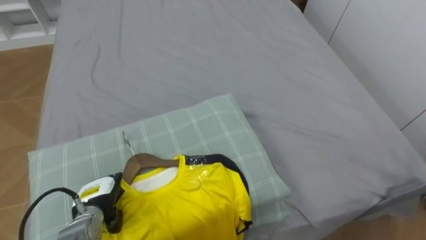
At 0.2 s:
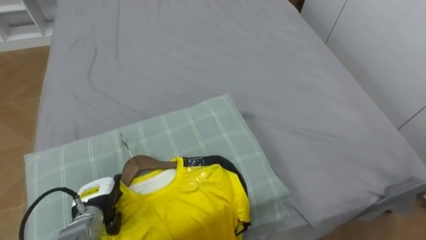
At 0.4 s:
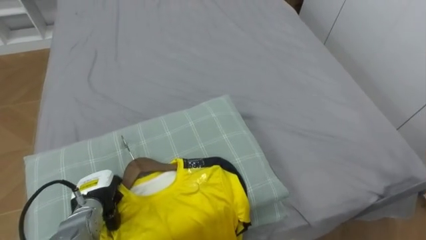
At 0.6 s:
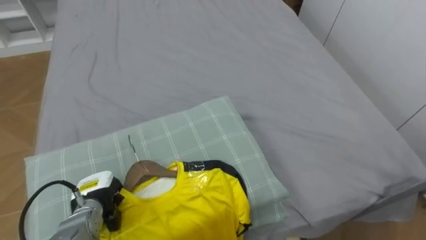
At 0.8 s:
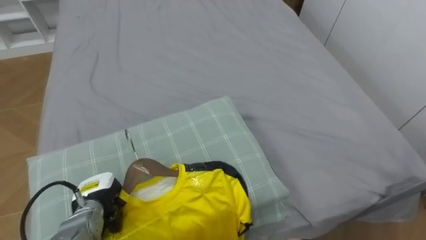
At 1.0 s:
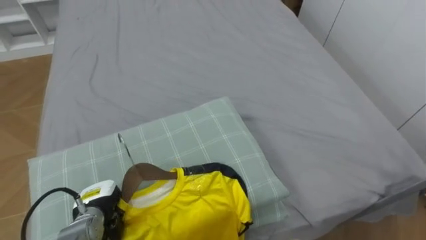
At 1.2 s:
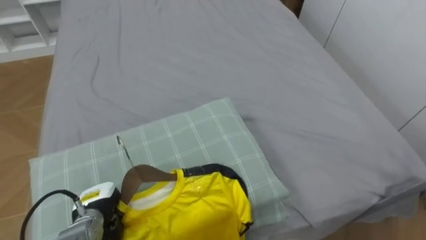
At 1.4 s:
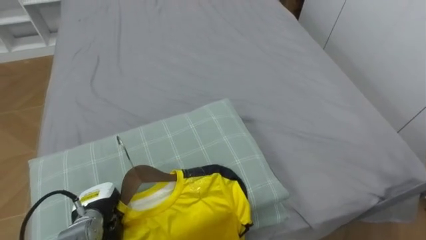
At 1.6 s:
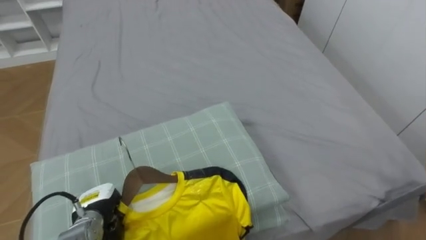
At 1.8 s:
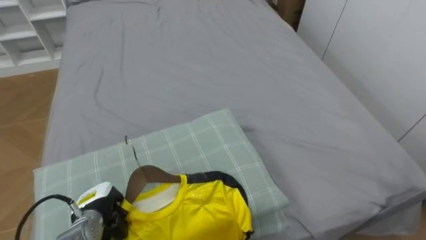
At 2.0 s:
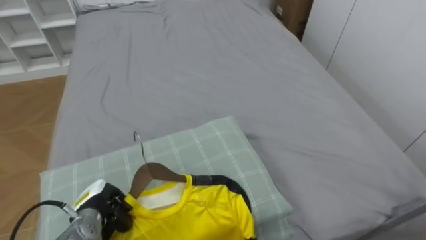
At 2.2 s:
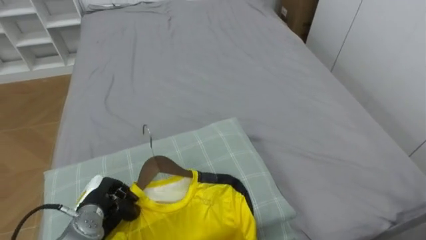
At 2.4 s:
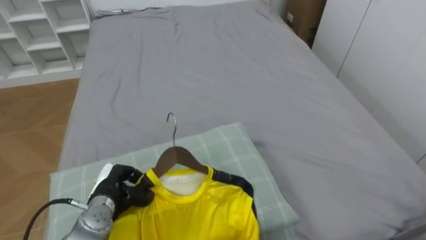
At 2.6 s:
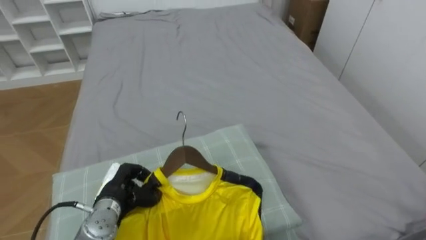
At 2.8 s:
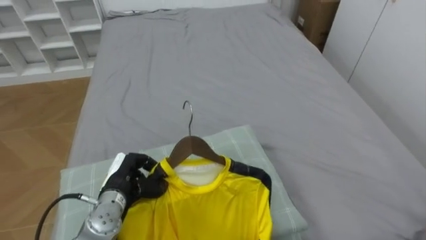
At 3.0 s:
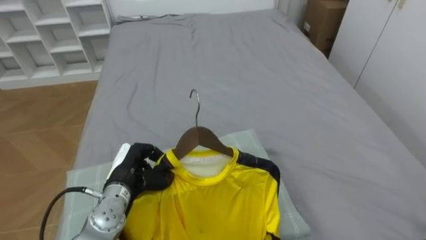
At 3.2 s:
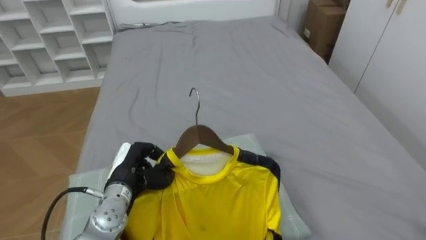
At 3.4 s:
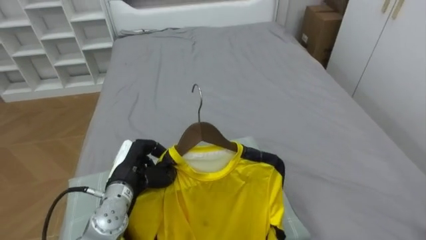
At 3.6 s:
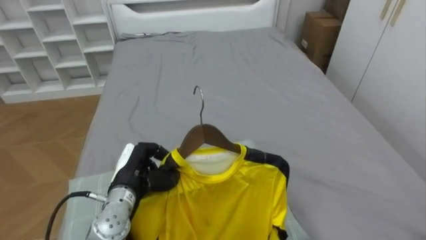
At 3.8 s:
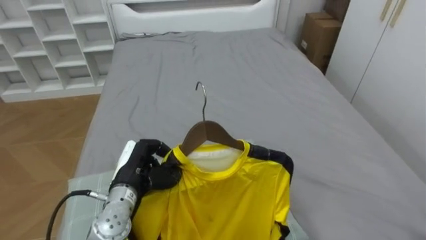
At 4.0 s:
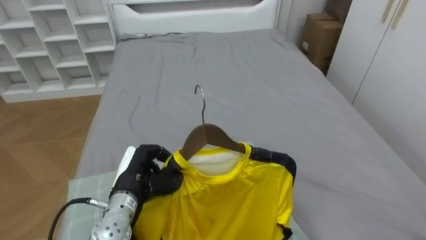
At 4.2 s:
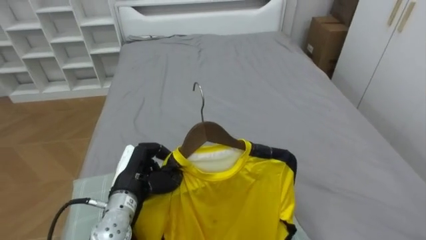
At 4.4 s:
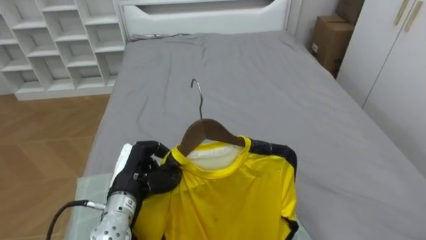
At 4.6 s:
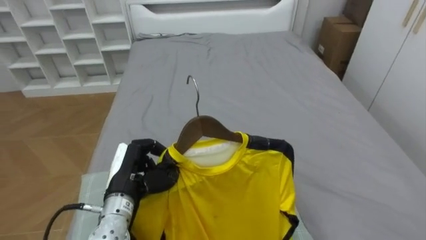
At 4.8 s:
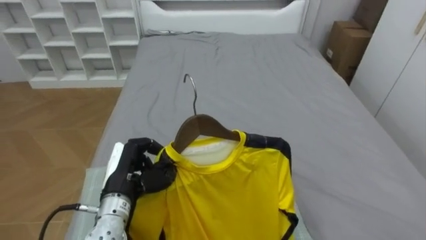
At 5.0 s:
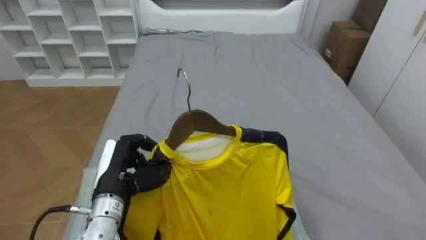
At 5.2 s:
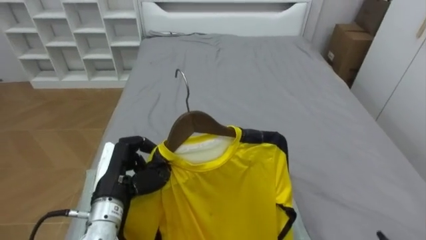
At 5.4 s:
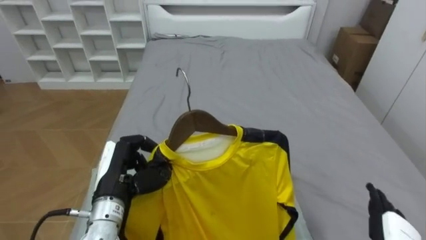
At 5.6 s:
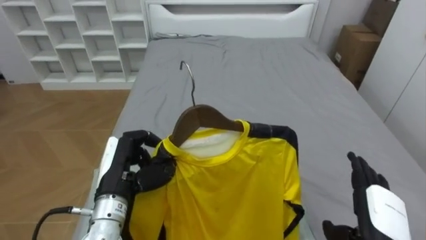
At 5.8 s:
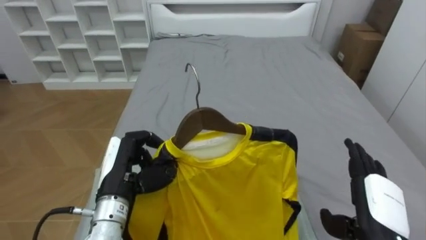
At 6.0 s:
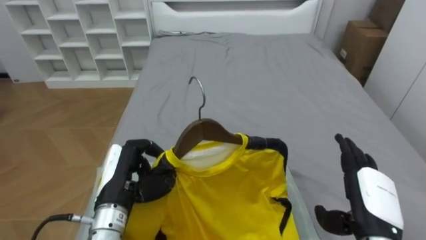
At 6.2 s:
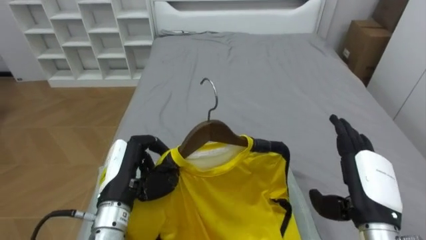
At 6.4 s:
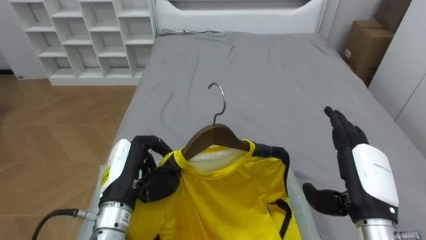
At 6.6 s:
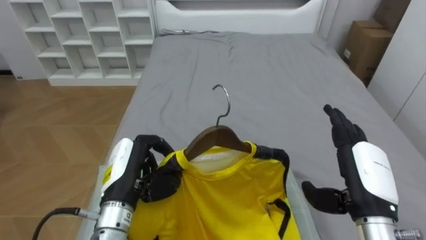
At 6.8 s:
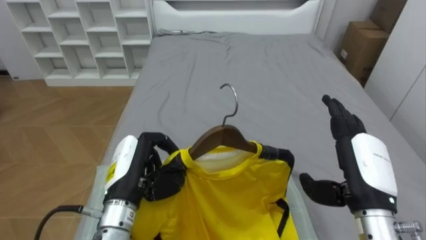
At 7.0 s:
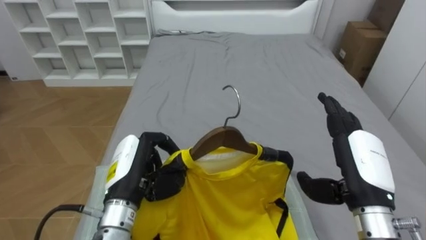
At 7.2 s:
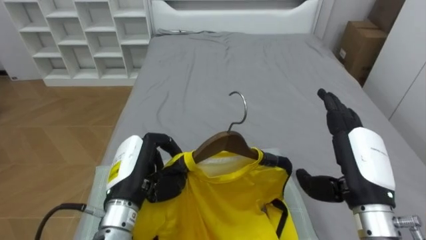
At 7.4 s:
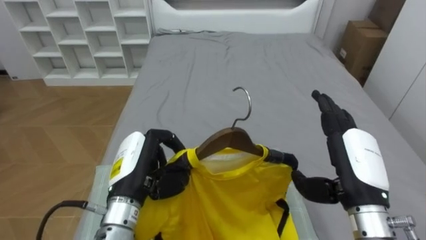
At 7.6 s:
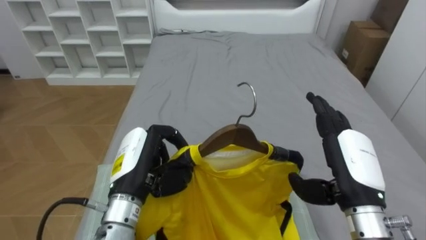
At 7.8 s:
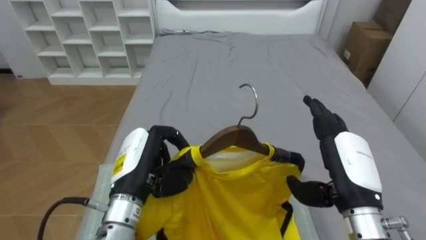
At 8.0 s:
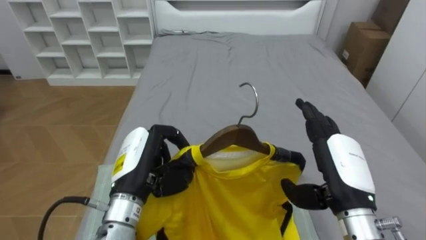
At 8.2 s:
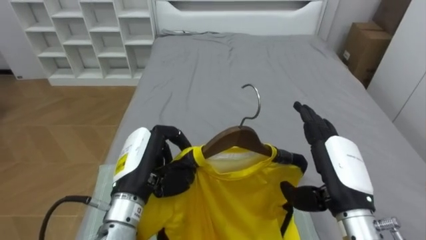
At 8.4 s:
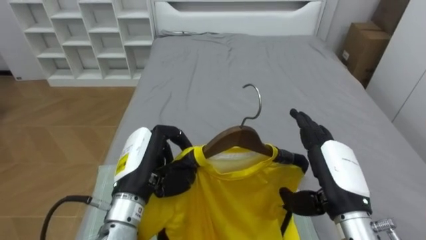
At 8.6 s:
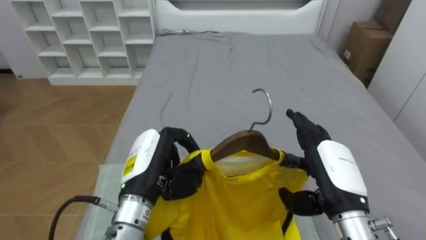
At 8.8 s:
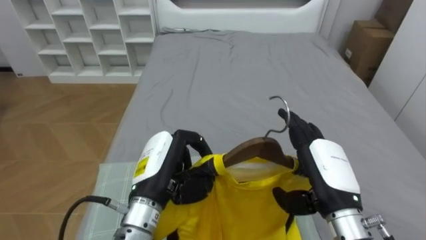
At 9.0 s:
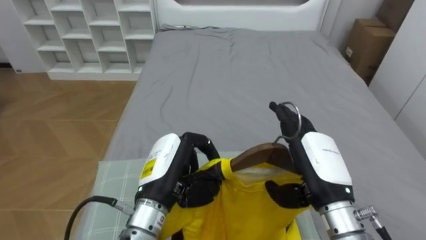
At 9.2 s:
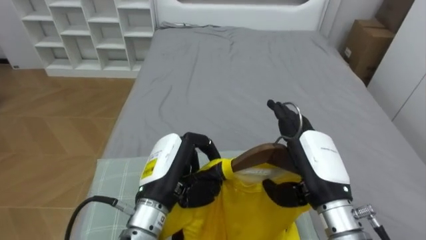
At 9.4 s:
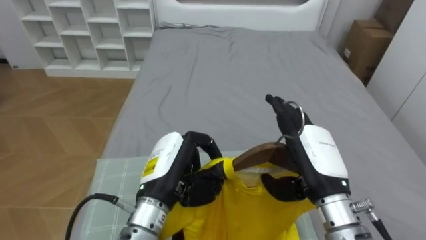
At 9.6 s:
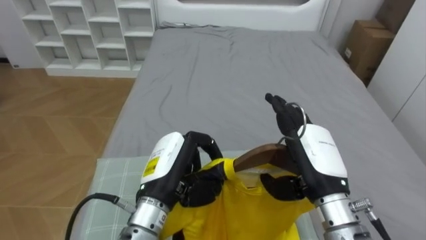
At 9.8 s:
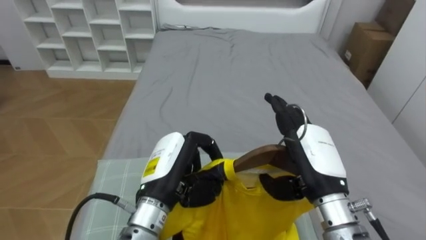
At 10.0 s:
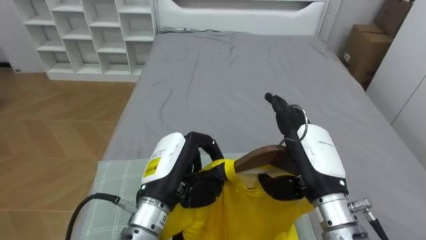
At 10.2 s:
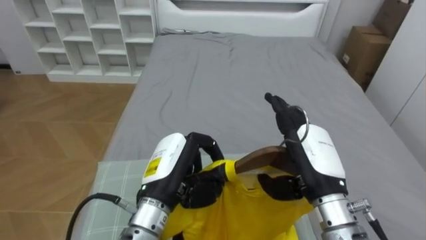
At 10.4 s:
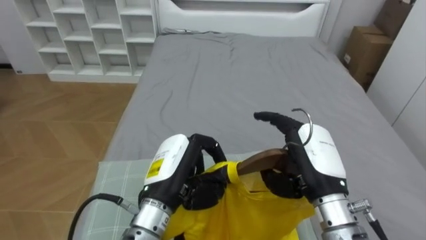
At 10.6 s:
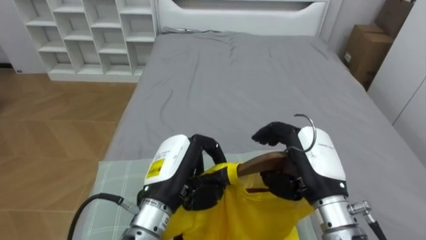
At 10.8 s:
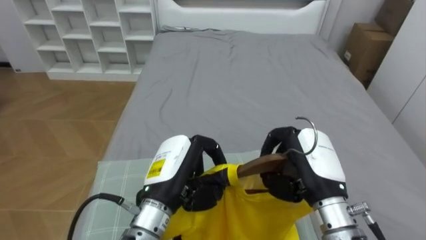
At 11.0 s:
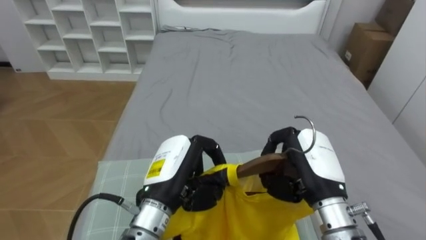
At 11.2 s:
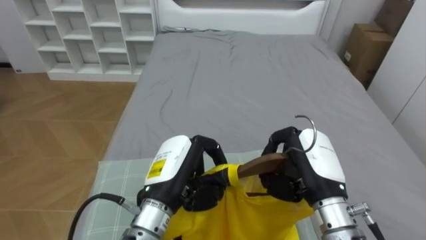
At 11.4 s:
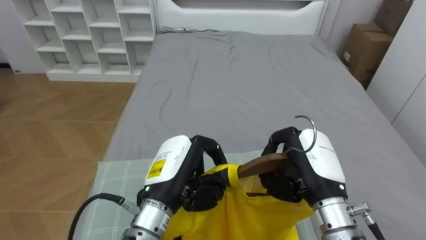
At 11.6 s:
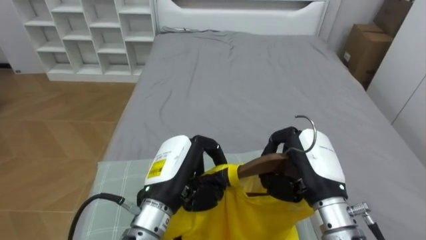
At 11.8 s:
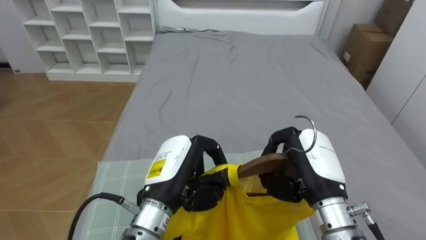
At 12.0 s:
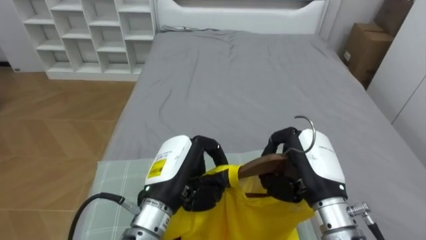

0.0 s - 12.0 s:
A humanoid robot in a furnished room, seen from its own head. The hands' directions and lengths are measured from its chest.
Task of the whole recording: Pick up the yellow shirt on the bed and hang it on the clothes rack on the right.
0.0 s - 1.6 s: The left hand closes up.
1.6 s - 3.0 s: The left hand heads upward and to the right, covering some 10 cm.
6.0 s - 7.6 s: The left hand shifts by some 5 cm. The right hand heads upward, covering roughly 10 cm.
9.0 s - 10.4 s: There are only small adjustments of the hands.
10.4 s - 12.0 s: The right hand closes up.

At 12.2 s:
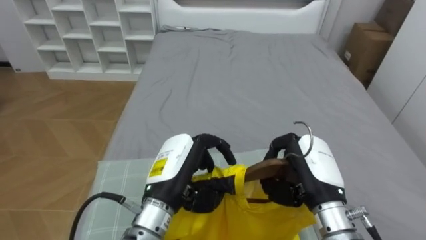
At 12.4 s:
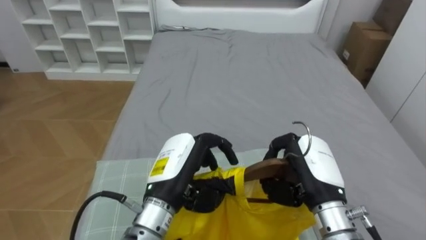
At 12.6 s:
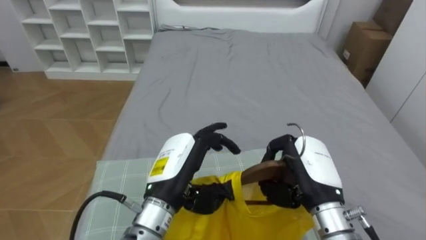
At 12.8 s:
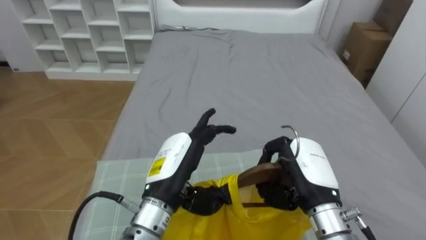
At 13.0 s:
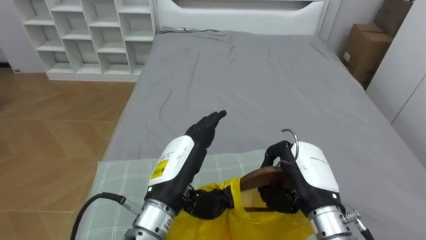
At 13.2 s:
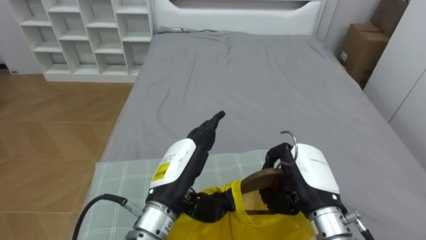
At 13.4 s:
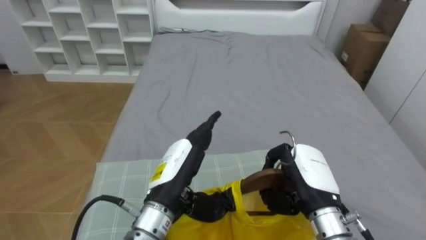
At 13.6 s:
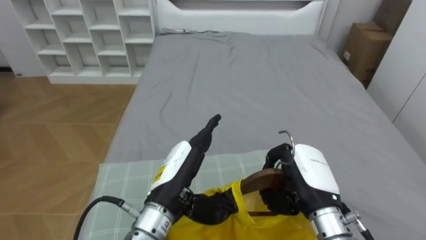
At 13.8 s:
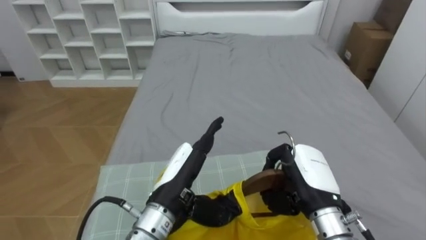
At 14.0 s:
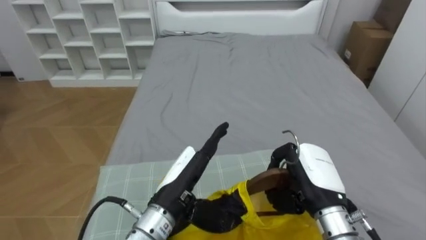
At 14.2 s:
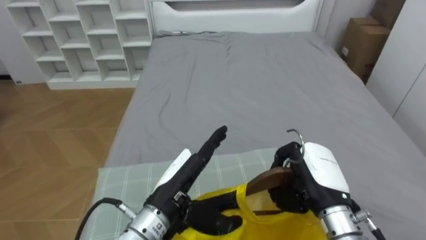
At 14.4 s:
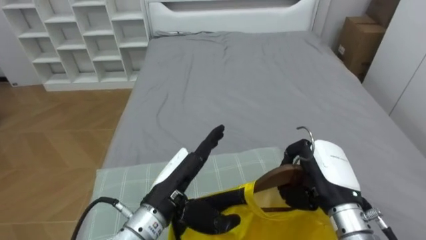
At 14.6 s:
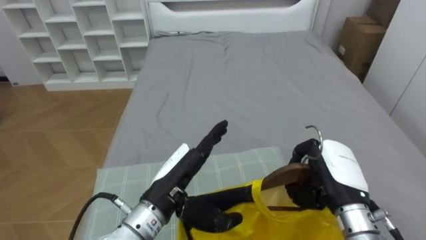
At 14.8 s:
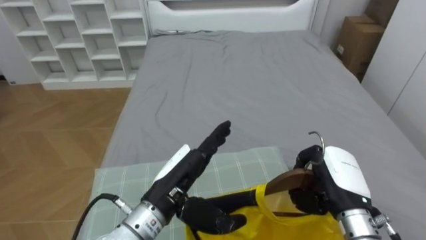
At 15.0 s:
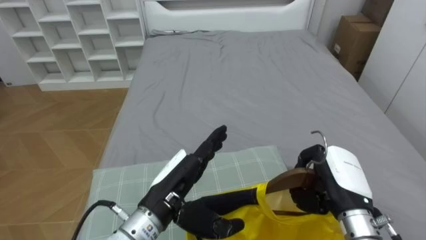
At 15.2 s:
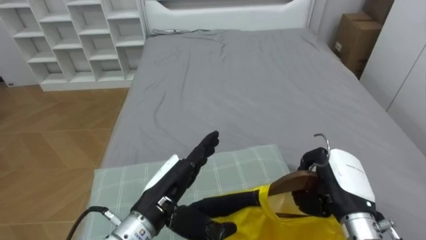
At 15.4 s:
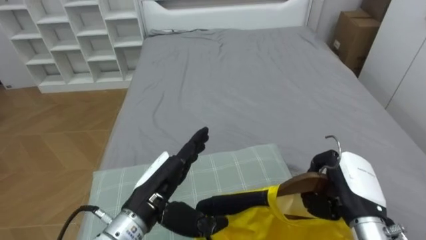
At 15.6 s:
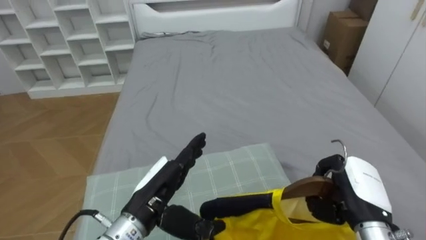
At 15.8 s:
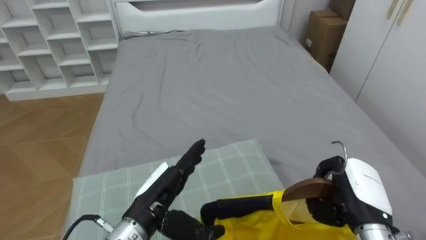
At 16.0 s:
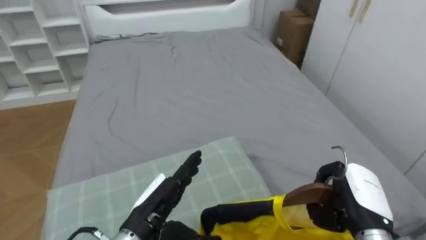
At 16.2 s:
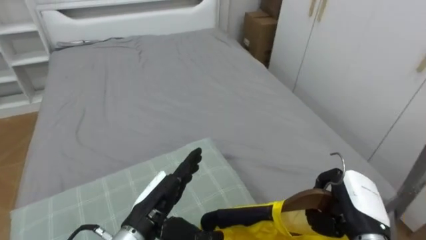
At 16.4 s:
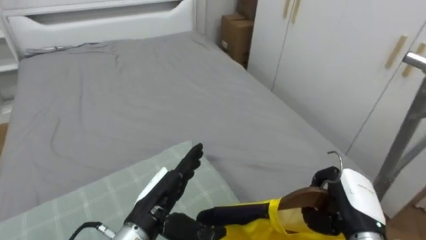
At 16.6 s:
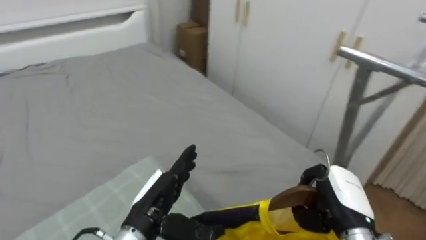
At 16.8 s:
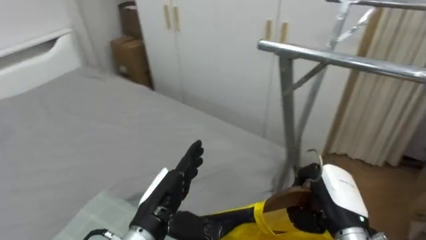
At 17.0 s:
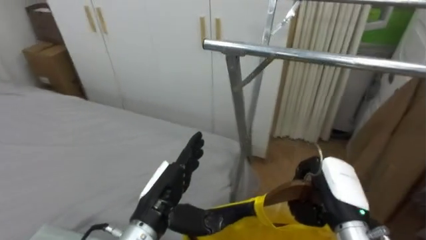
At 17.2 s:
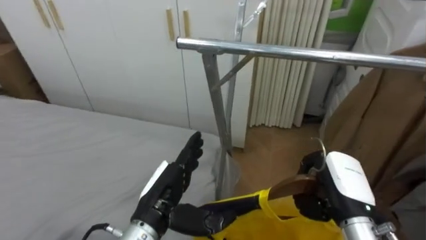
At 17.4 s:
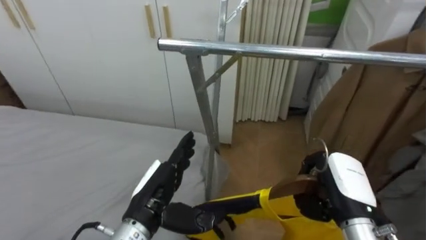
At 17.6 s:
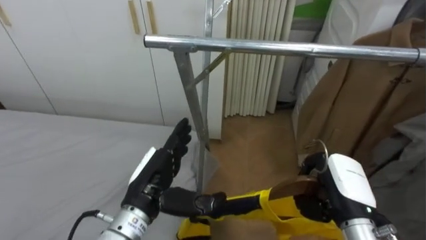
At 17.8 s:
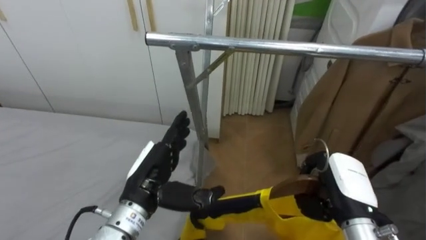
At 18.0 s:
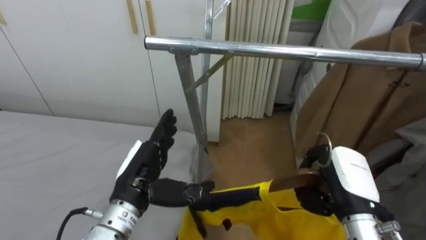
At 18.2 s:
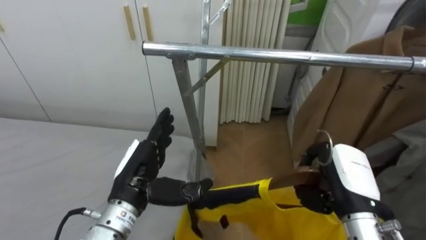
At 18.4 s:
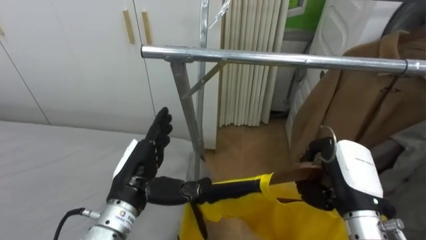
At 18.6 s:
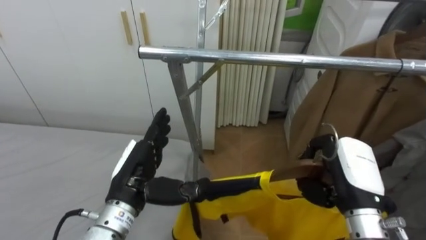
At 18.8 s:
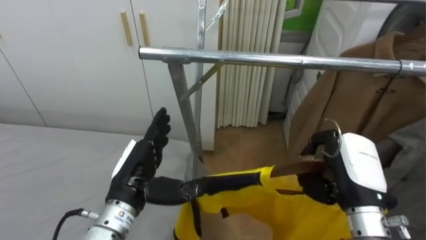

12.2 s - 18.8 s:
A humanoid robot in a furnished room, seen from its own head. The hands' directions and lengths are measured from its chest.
Task of the whole recording: Pick up the yellow shirt on the bed and hang it on the clothes rack on the right.
12.2 s - 13.8 s: The left hand opens up.
13.8 s - 15.4 s: The right hand shifts approximately 5 cm to the right.
15.4 s - 17.2 s: The robot rotates approximately 70 degrees to its right.
17.2 s - 18.8 s: The left hand shifts by approximately 5 cm.
